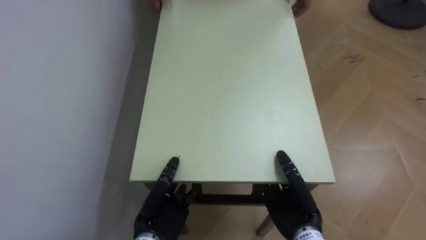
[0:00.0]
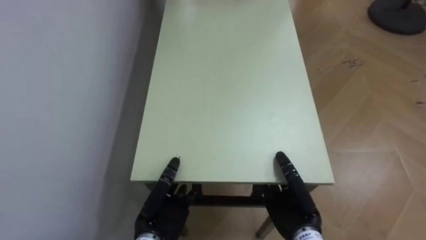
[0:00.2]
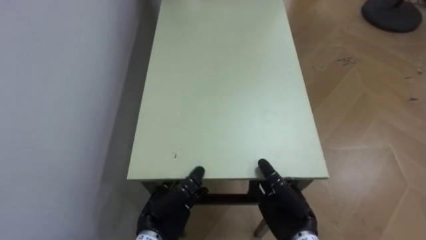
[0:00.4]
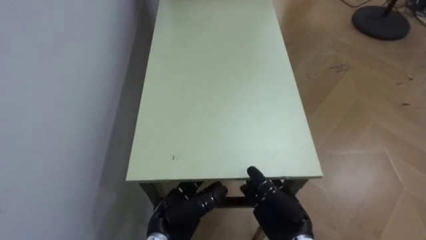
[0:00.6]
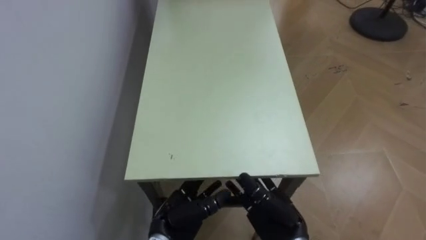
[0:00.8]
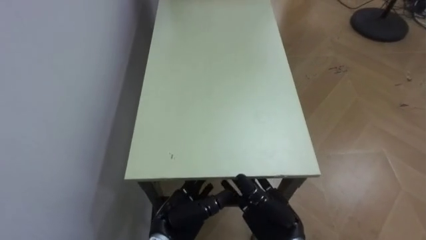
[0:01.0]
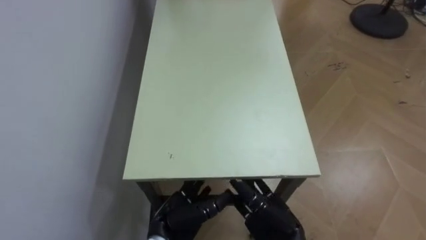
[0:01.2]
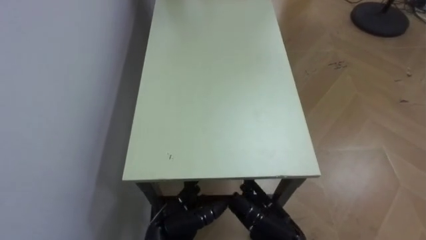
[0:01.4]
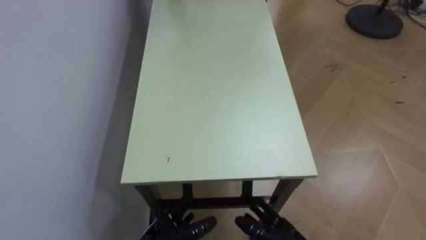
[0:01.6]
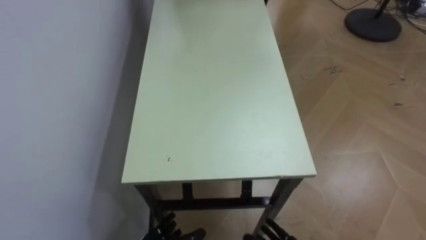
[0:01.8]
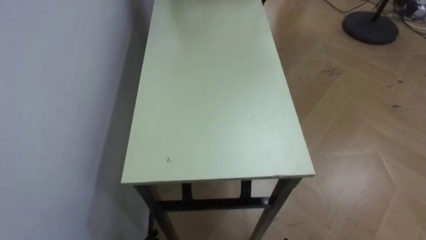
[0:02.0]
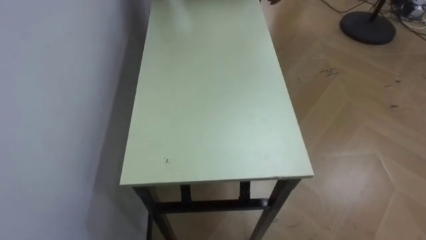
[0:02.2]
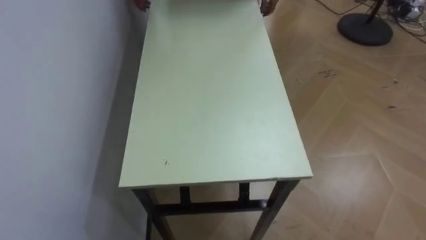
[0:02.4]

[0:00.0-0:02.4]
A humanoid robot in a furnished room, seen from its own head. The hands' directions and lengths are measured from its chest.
Task of the whole recording: Move the table to the back left with someone.
0.0 to 1.2 s: The left hand opens up; the right hand opens up.

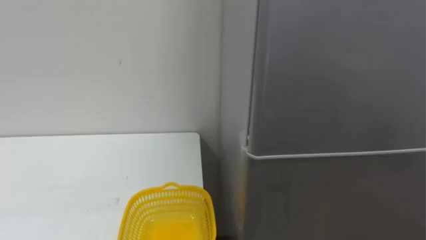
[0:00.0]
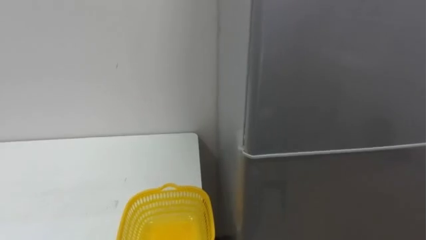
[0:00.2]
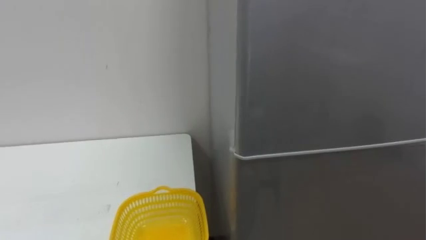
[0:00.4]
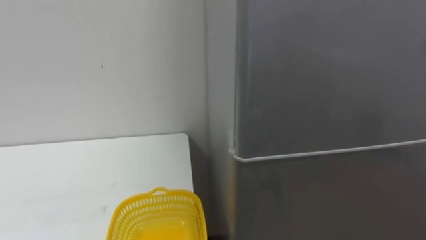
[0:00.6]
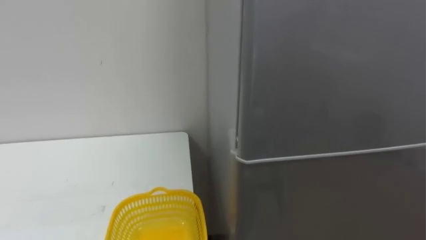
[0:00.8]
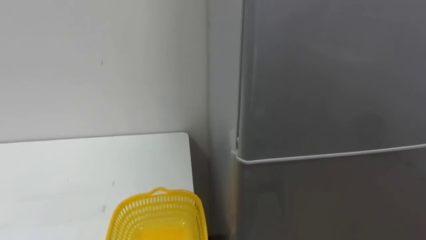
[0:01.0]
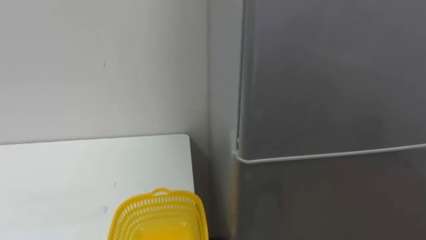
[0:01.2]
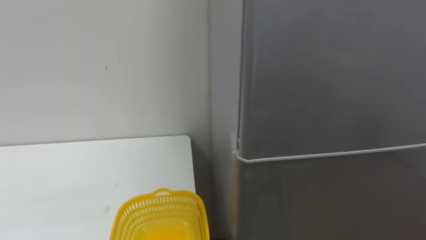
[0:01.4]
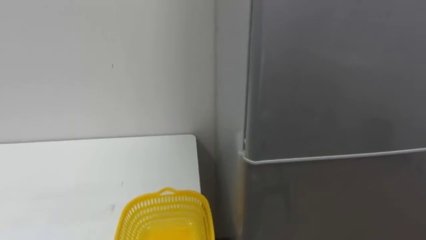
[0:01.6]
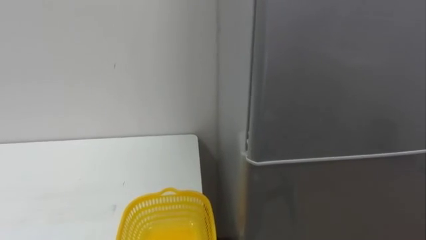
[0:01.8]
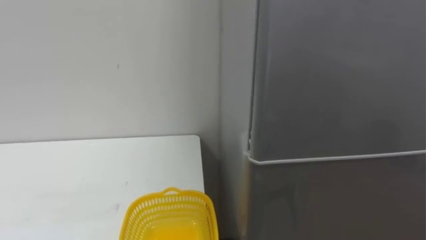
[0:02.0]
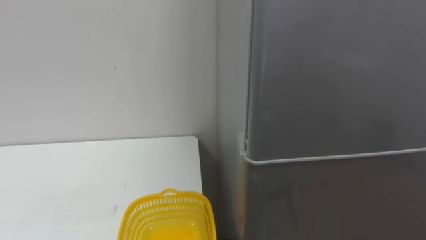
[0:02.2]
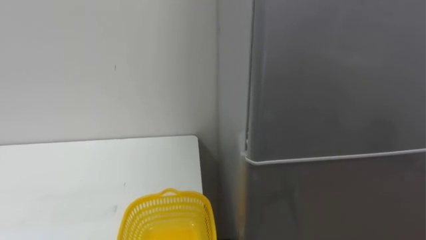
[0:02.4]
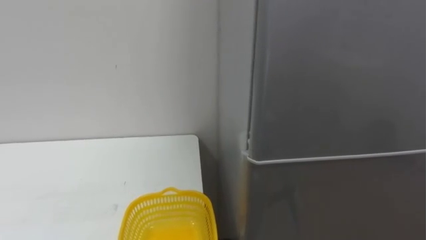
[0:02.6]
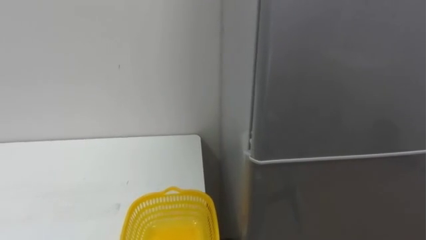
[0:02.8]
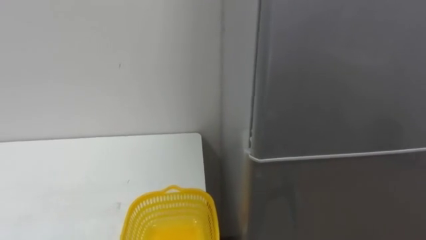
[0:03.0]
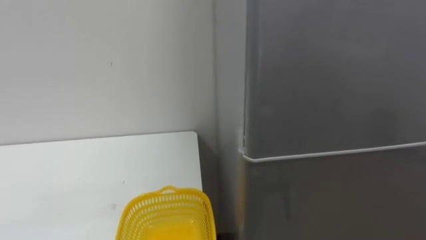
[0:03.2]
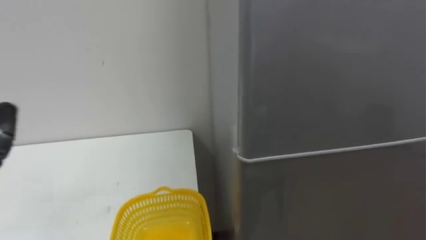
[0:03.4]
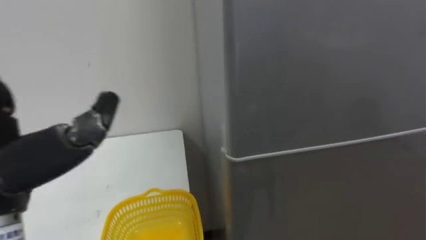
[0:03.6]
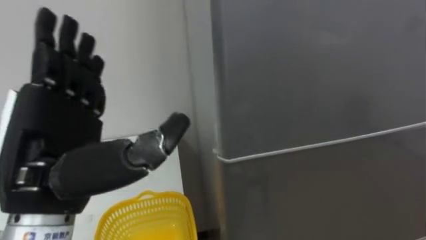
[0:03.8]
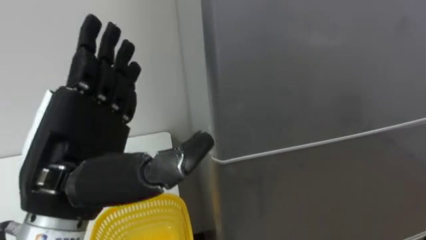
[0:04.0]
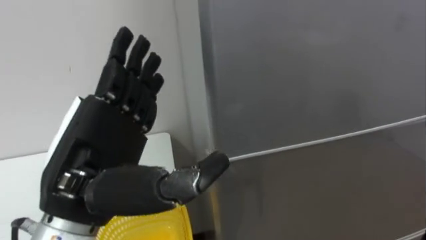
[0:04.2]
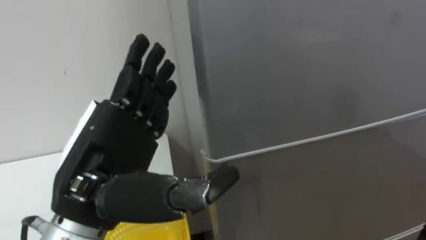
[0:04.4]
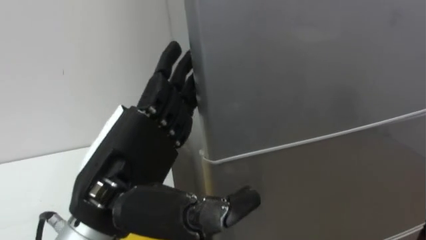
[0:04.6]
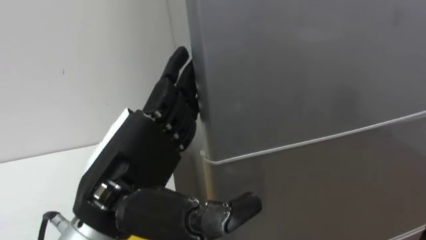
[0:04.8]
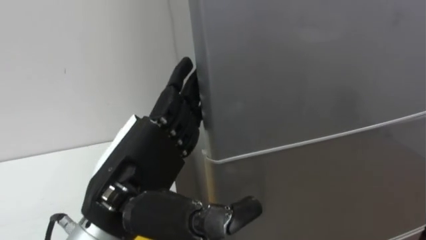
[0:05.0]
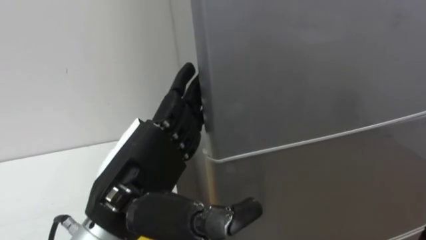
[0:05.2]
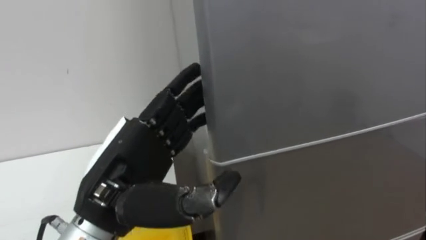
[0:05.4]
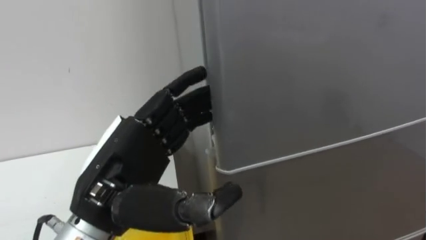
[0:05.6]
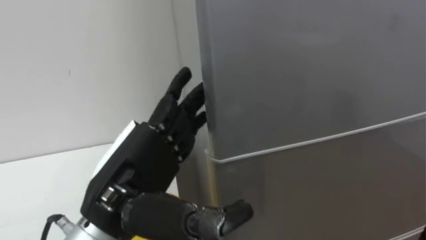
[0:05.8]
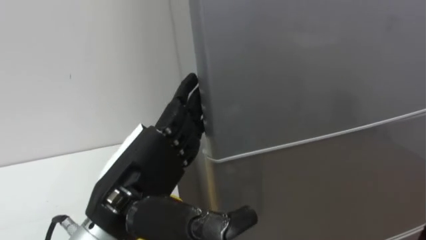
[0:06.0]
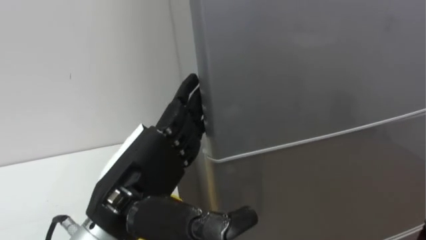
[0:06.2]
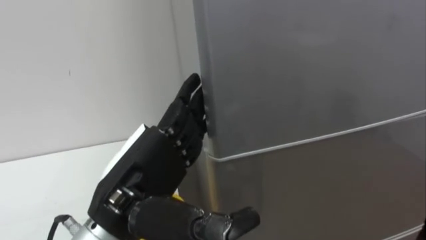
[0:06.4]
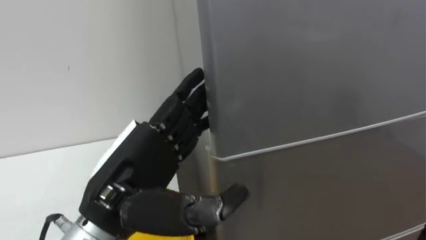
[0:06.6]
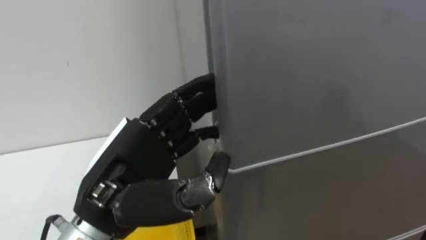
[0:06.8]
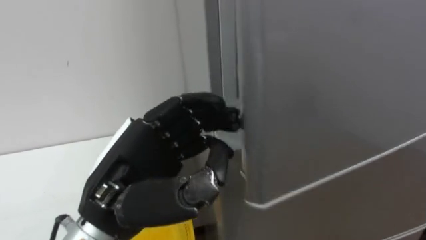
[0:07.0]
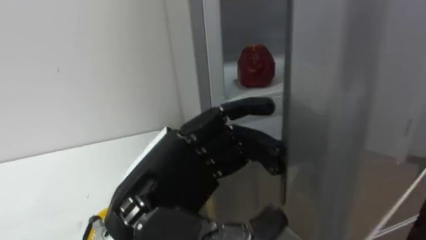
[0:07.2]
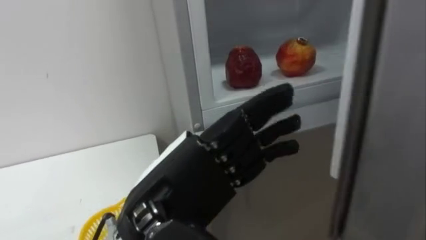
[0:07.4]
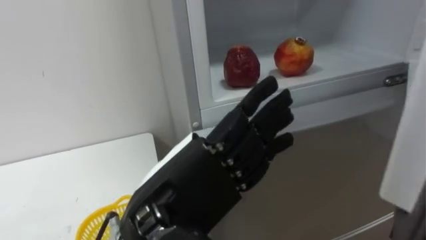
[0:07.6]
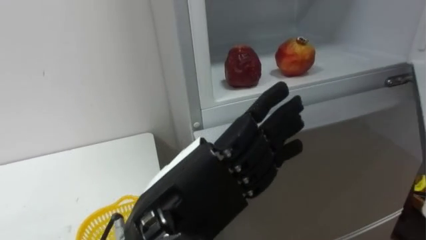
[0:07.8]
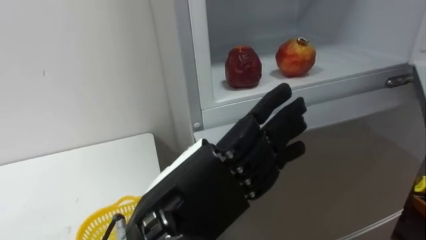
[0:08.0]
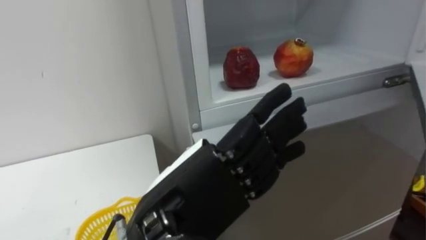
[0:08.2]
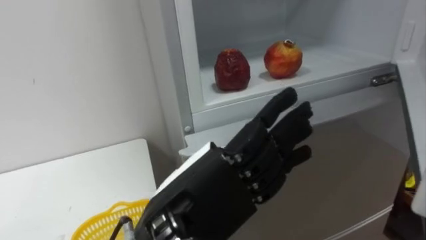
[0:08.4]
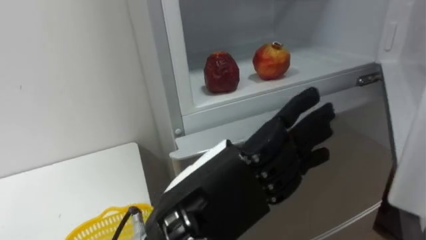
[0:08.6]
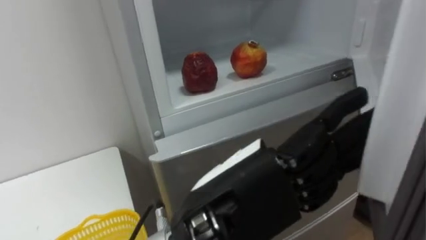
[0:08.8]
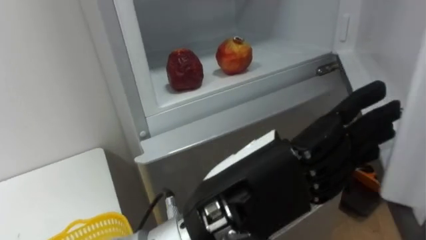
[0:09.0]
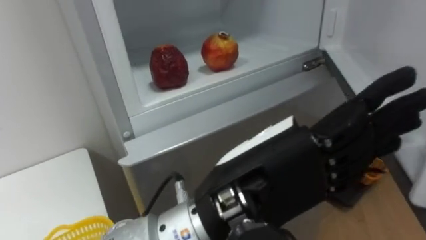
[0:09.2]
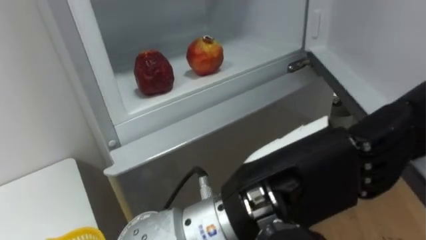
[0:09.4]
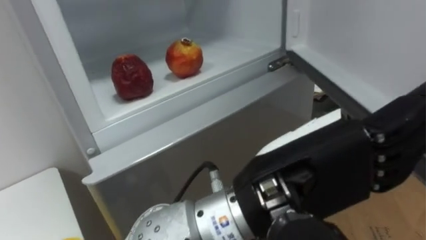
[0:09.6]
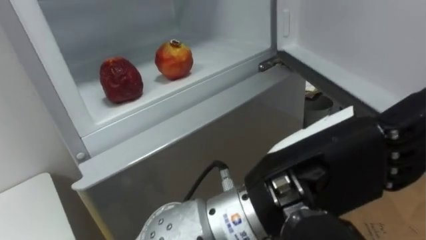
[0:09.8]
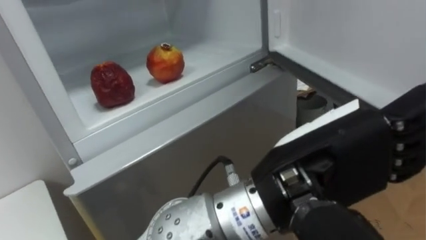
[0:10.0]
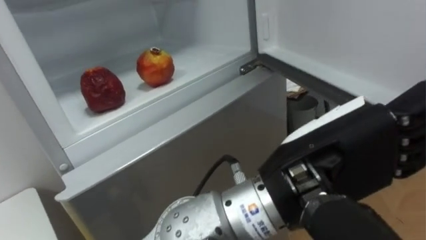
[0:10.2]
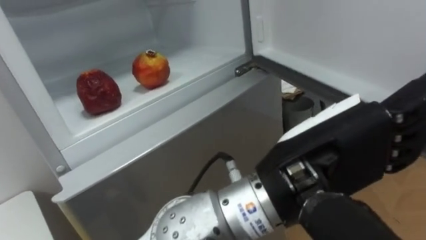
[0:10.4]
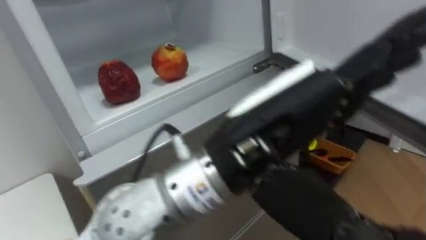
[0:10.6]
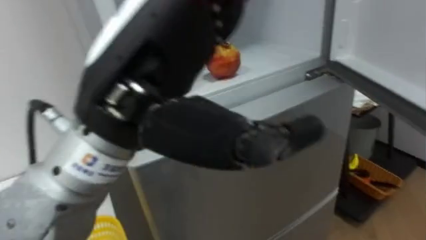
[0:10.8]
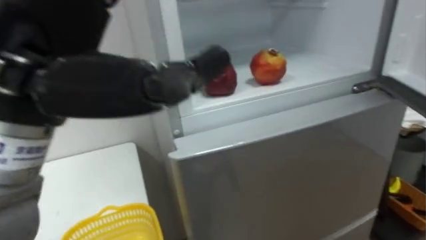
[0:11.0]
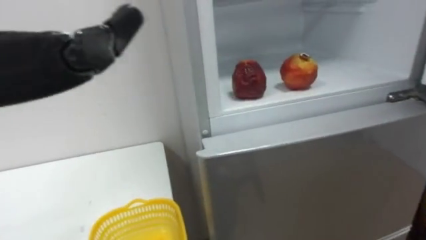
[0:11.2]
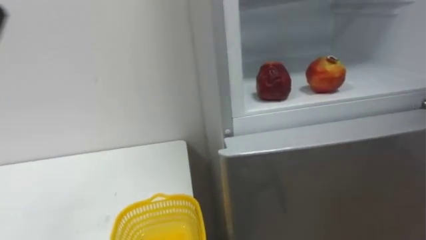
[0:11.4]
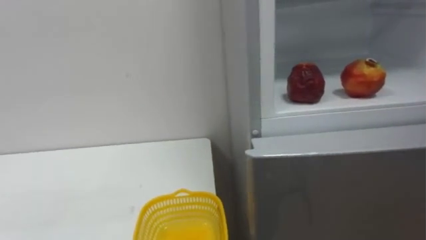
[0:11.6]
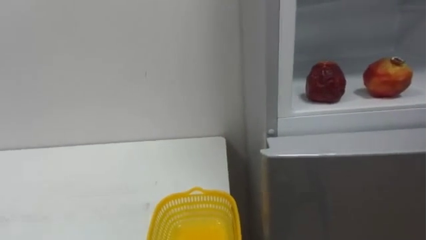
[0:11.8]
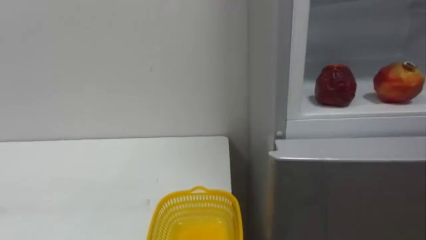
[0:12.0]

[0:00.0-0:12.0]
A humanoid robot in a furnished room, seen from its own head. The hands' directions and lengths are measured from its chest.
Task of the whole recording: Open the refrigerator door, take out the apple and the pomegranate, place them in the fruit basket on the left, and close the refrigerator door.
6.0 to 7.6 s: The left hand moves some 5 cm, and closes, then opens again.
7.6 to 9.0 s: The left hand moves to the right, roughly 5 cm.
9.0 to 10.4 s: The left hand travels to the right by some 5 cm.

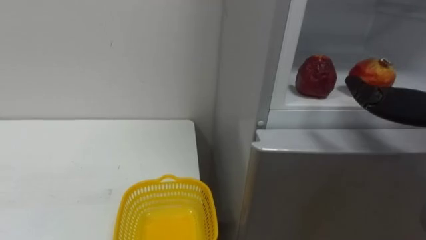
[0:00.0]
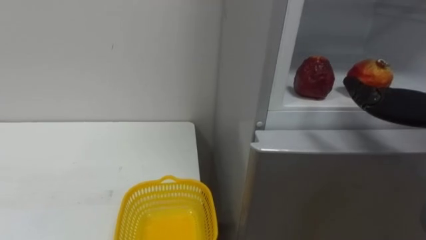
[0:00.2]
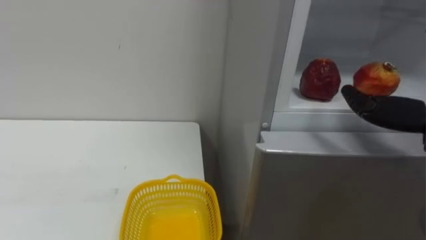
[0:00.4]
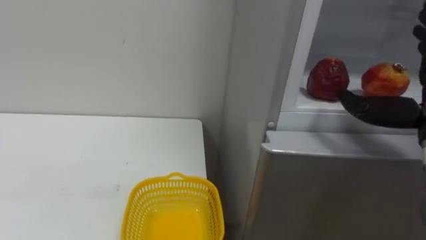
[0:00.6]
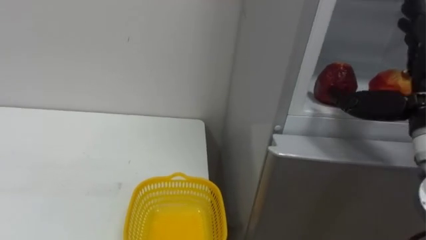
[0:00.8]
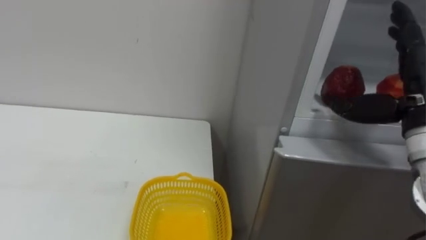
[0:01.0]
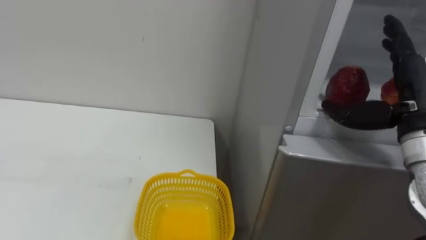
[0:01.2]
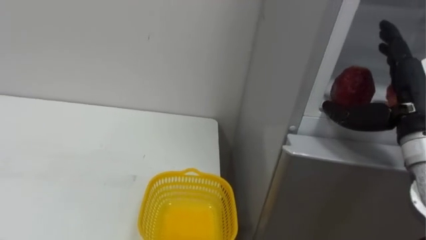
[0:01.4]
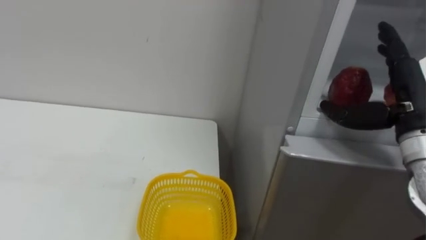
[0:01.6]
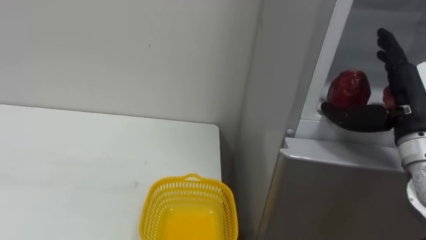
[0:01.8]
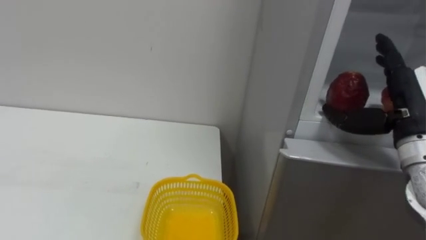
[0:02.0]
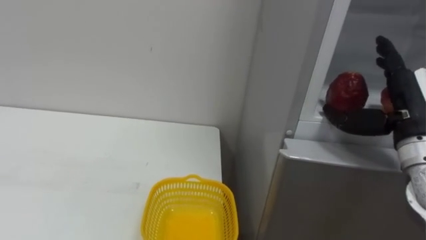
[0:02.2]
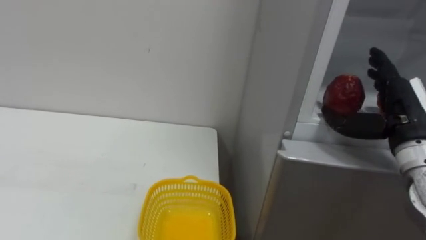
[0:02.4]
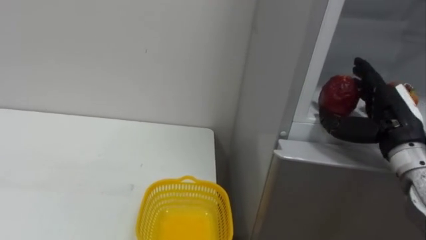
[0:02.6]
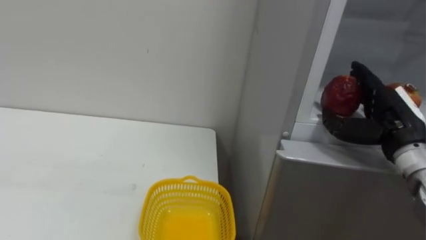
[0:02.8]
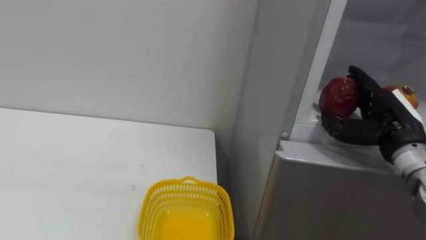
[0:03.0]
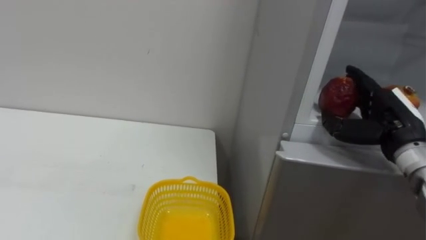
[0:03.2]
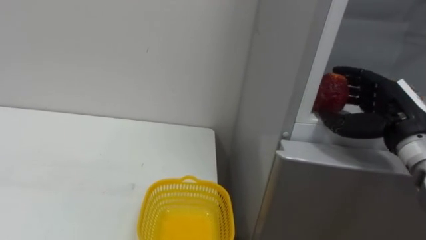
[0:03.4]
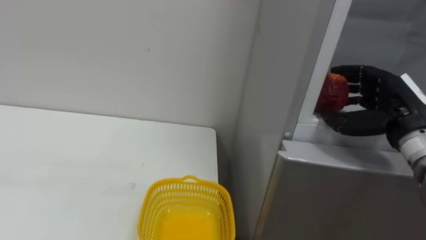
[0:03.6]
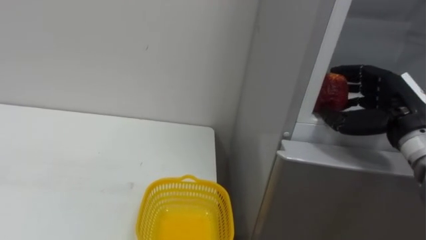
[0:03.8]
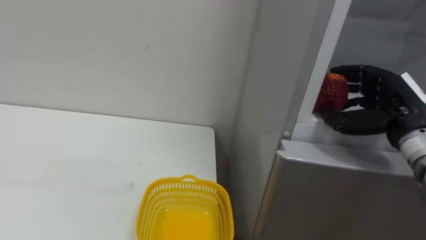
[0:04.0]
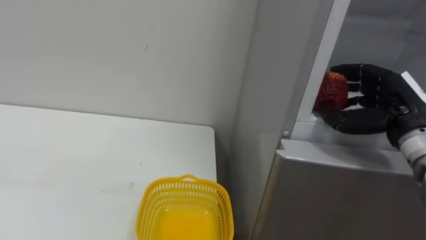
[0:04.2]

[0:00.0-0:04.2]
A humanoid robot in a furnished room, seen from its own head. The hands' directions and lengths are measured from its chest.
Task of the whole recording: Open the refrigerator door, take out the apple and the pomegranate, place them in the fruit basket on the left, and close the refrigerator door.
1.4 to 2.8 s: The right hand heads downward, covering some 5 cm.
2.8 to 4.2 s: The right hand closes.
